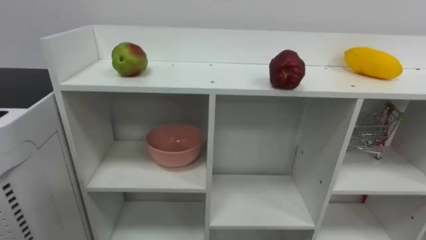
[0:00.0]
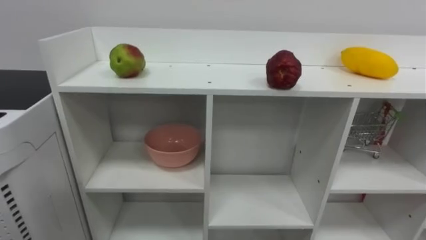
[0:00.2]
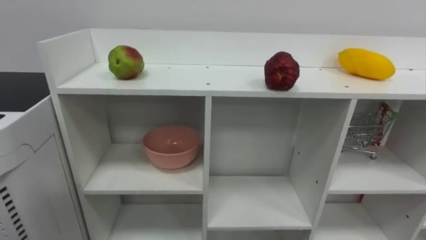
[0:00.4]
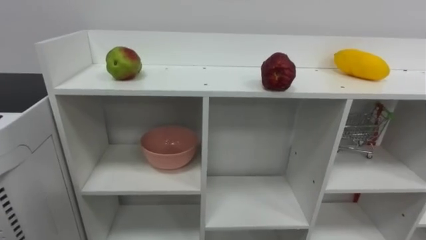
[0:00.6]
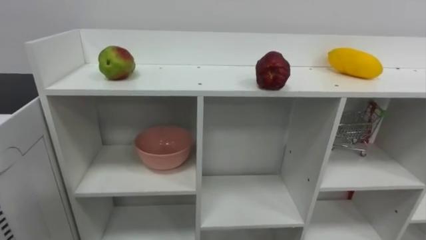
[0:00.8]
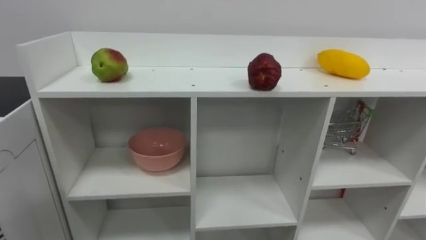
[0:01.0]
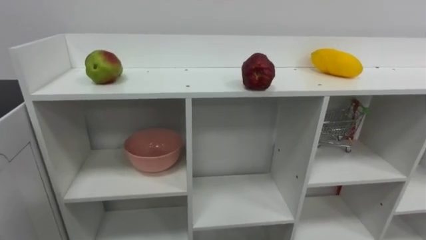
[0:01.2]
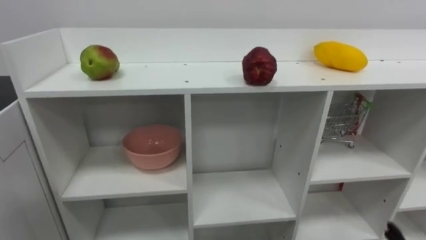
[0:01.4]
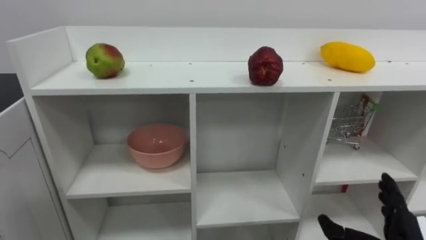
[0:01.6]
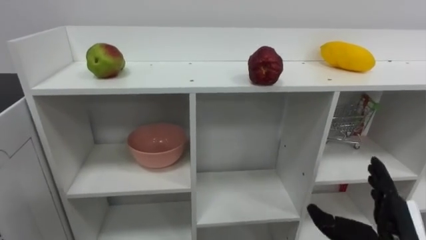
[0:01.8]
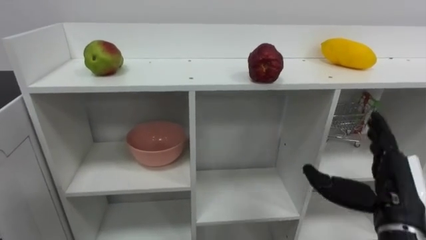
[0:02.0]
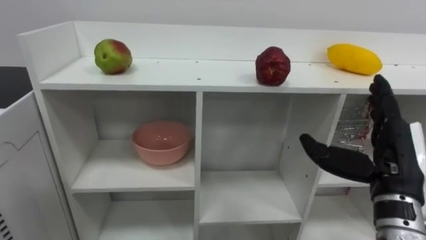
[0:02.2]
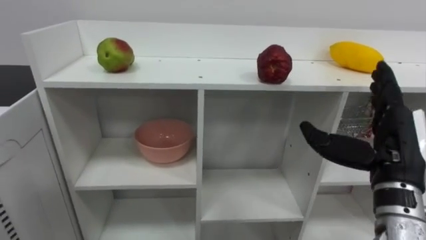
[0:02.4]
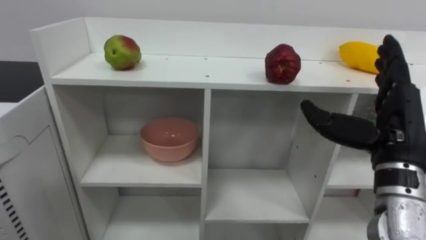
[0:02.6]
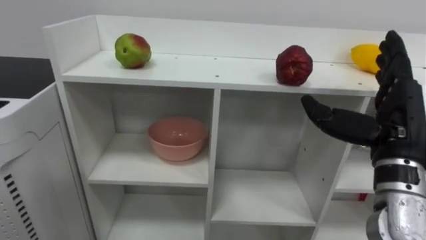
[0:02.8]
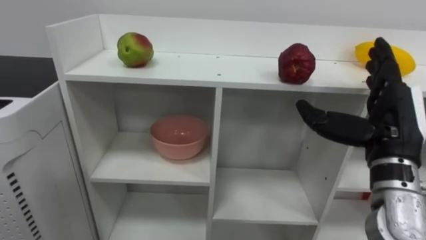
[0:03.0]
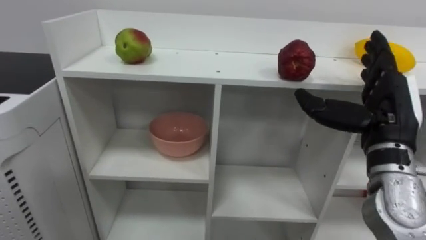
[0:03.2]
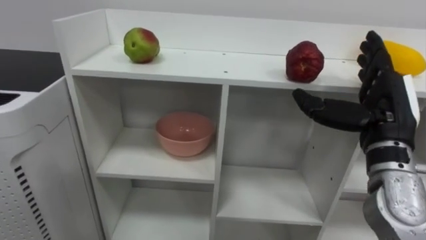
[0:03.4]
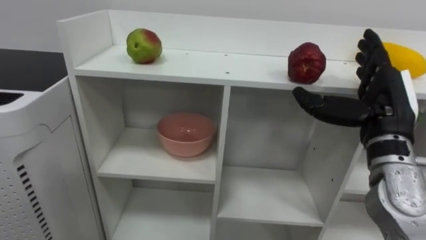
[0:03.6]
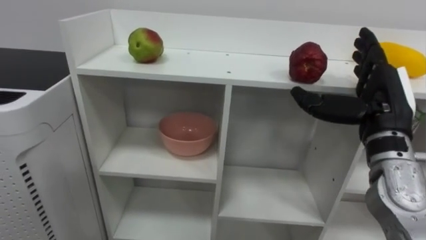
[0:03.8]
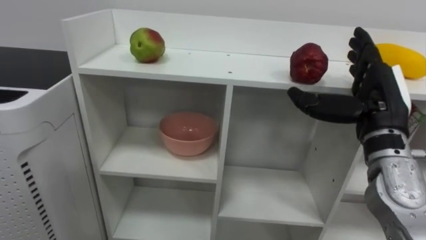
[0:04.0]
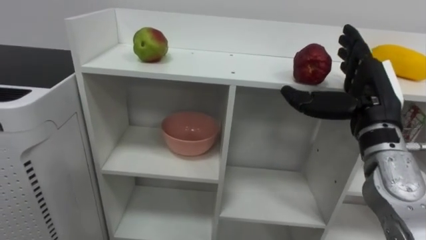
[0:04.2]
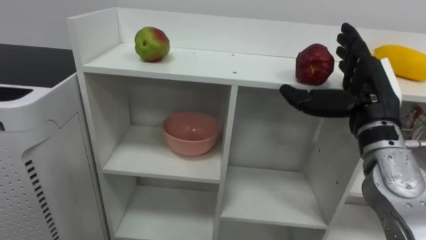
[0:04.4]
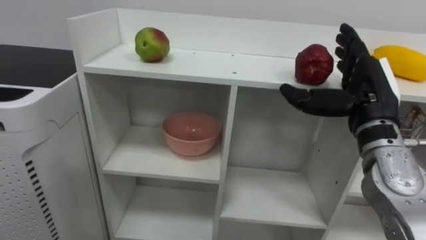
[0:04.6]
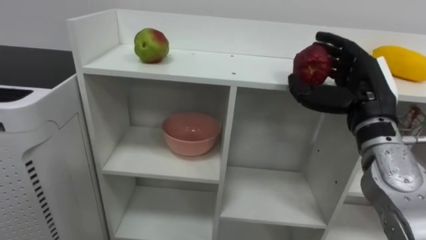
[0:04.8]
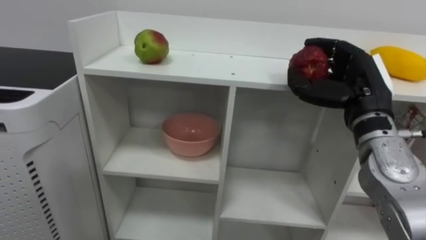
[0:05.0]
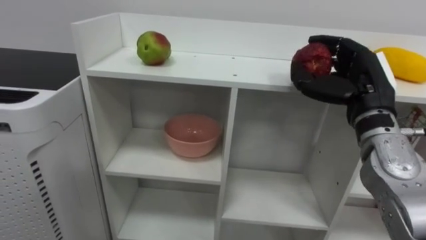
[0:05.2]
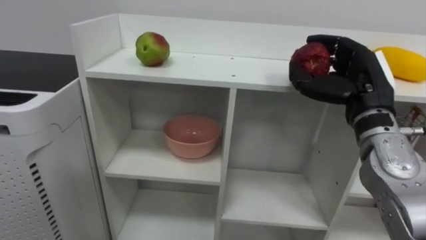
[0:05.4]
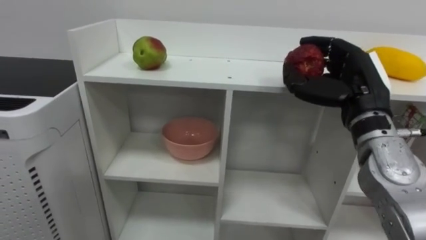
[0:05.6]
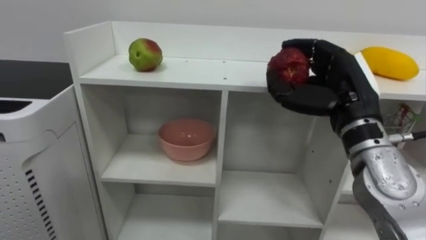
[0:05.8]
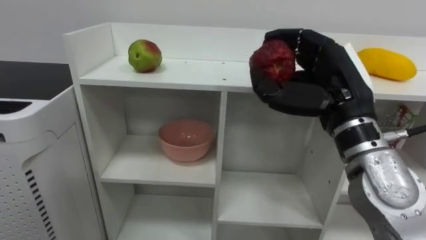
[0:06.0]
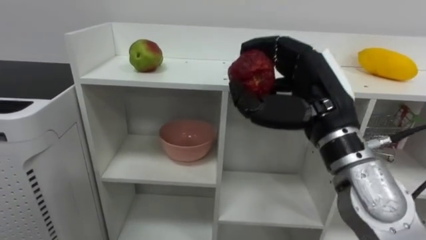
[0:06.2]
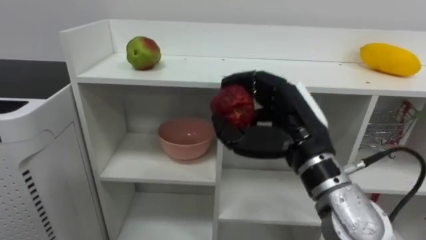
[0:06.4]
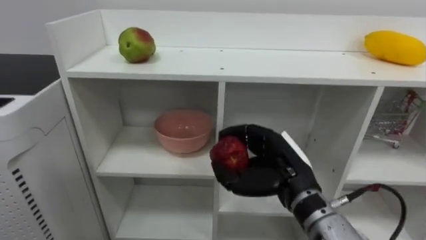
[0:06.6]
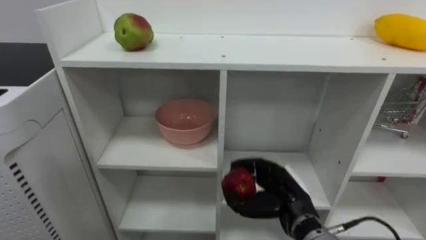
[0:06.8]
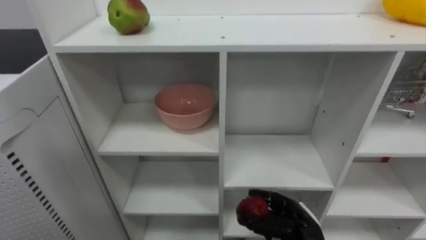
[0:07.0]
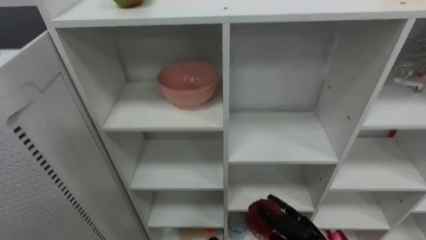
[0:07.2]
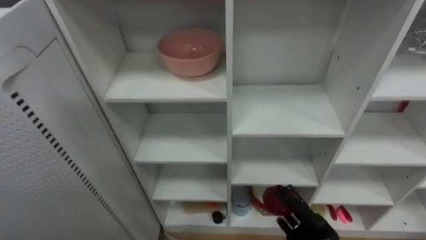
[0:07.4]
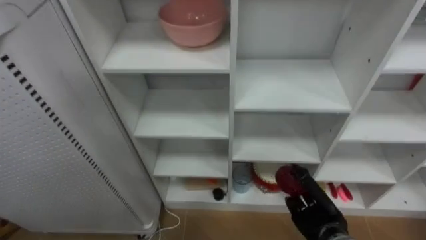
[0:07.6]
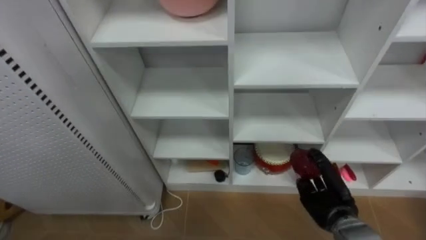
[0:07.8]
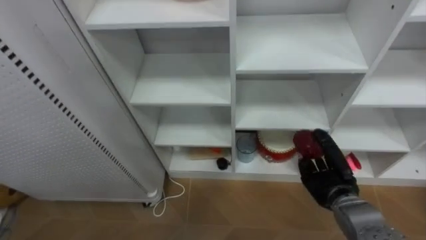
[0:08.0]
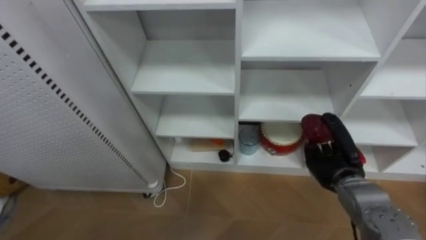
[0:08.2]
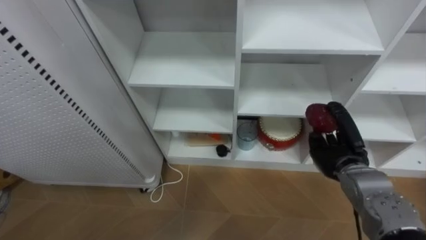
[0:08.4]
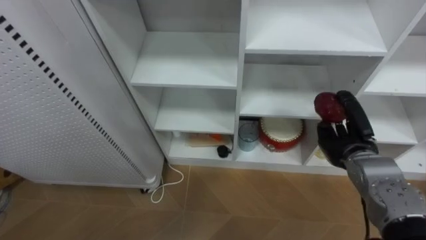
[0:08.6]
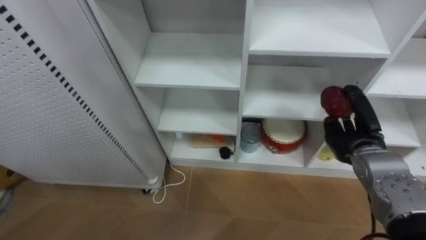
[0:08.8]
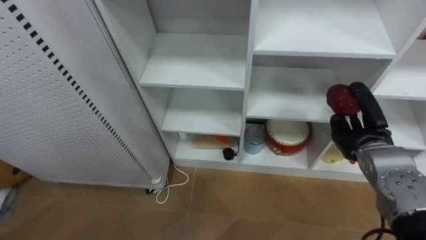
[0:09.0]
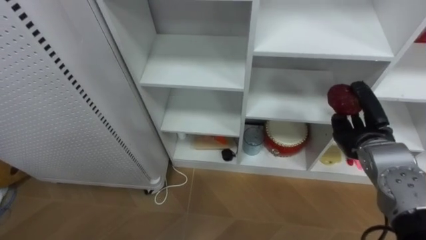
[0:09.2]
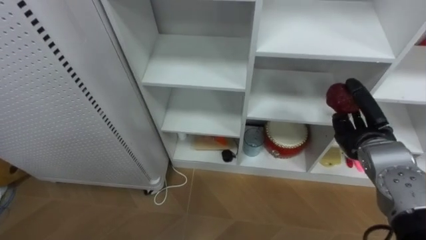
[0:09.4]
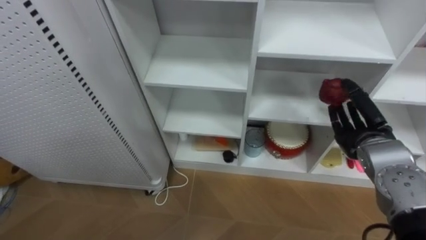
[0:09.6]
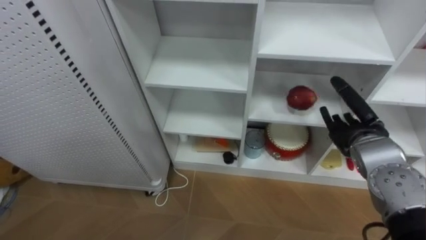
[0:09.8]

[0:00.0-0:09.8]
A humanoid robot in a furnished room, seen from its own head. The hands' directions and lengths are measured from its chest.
Task of the whole recording: Put the apple in the cell in the second column from the left and the second row from the top.
0:02.8 to 0:04.2: The right hand moves about 5 cm.
0:04.2 to 0:05.6: The right hand closes.
0:05.6 to 0:07.0: The right hand heads downward, covering roughly 25 cm.
0:08.4 to 0:09.8: The right hand shifts some 5 cm upward, and opens.

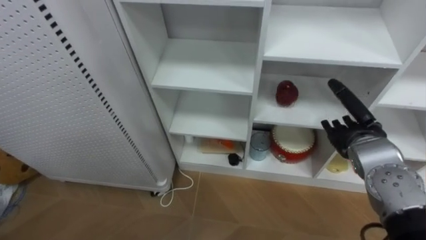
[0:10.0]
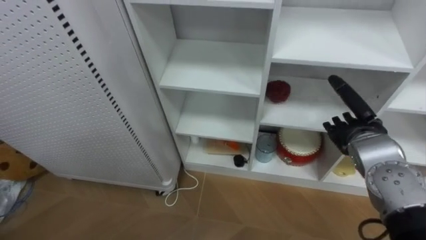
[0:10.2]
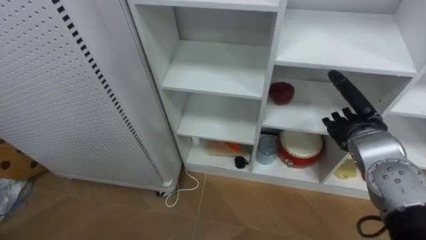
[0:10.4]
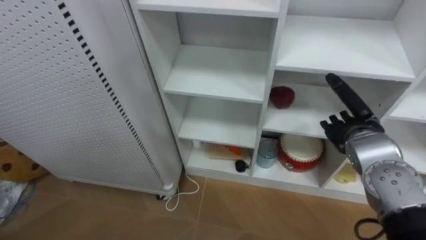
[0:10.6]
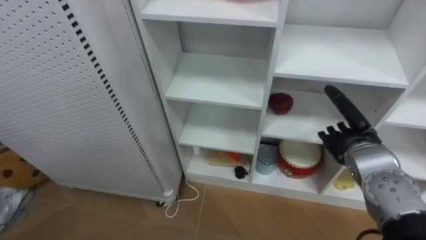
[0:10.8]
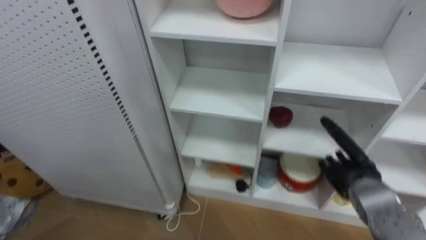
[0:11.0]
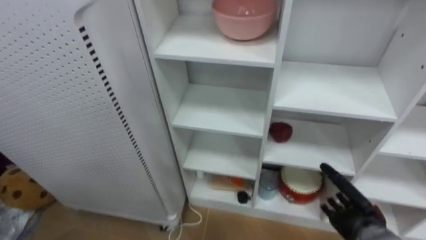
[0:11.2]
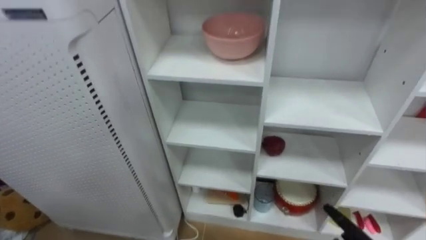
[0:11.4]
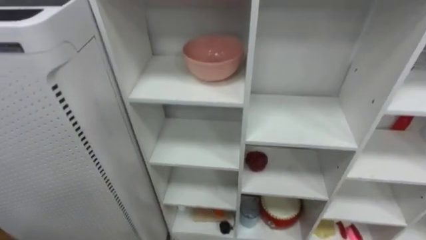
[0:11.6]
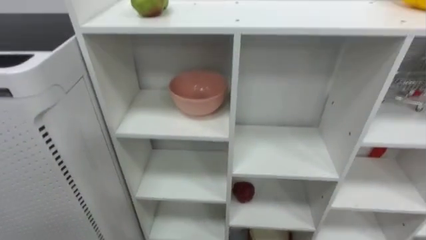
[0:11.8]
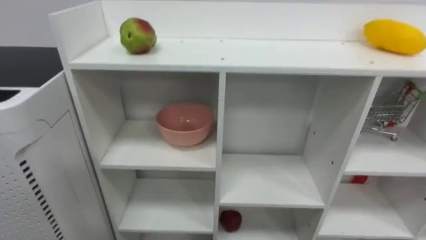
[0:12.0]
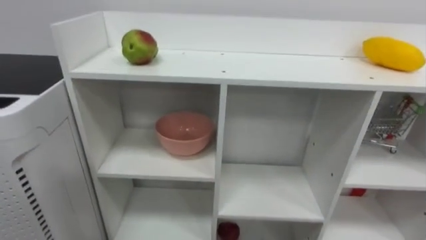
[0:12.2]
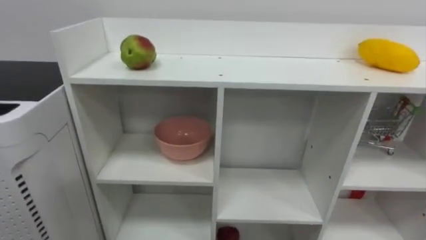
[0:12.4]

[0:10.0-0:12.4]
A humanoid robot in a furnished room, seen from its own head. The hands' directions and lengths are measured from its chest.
Task of the whole recording: Put the apple in the cell in the second column from the left and the second row from the top.
0:10.0 to 0:11.2: The right hand is displaced downward by about 15 cm.

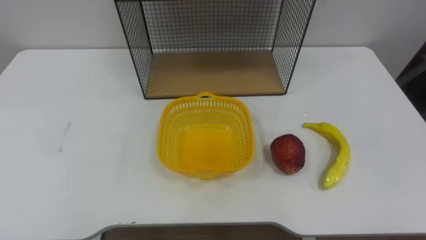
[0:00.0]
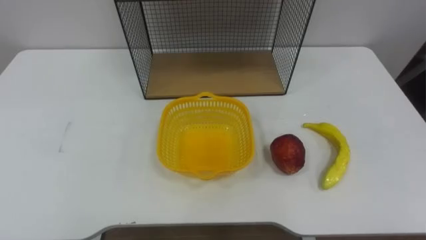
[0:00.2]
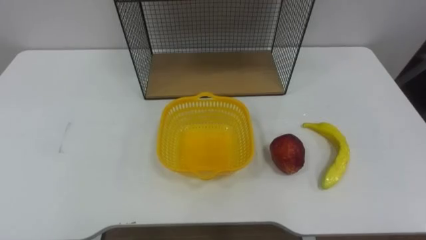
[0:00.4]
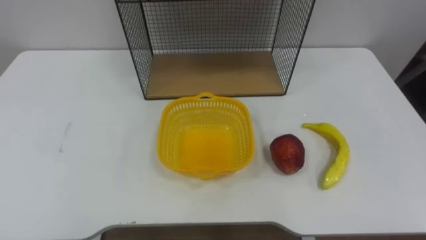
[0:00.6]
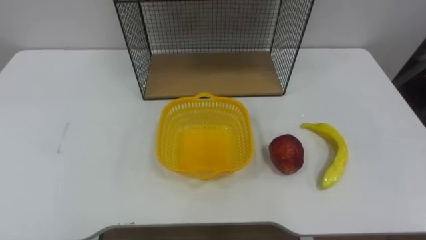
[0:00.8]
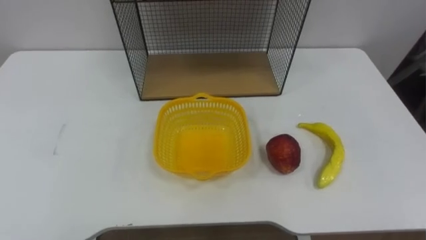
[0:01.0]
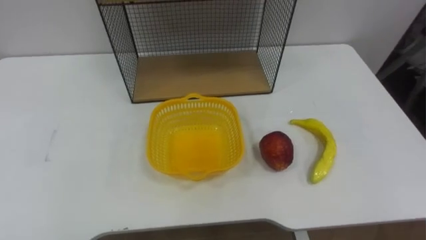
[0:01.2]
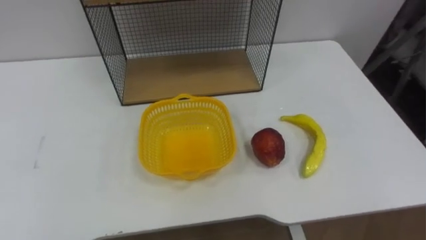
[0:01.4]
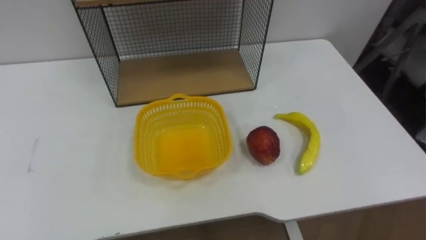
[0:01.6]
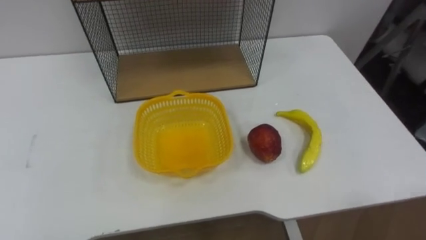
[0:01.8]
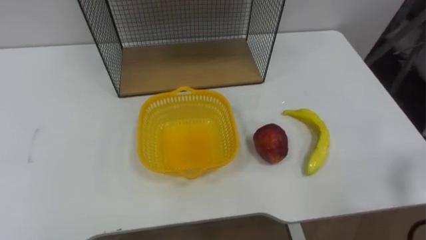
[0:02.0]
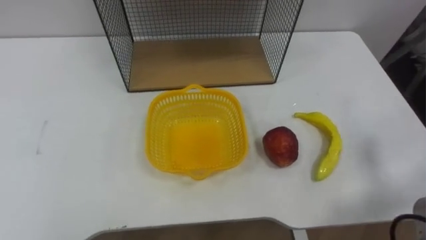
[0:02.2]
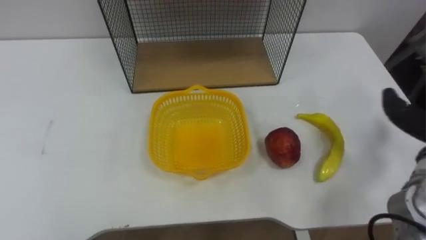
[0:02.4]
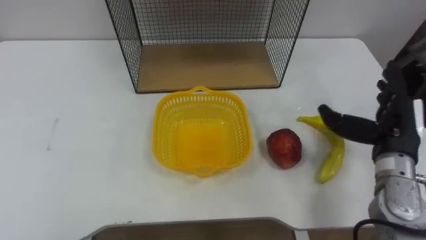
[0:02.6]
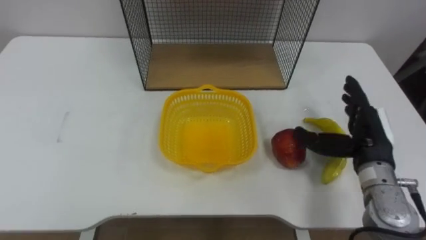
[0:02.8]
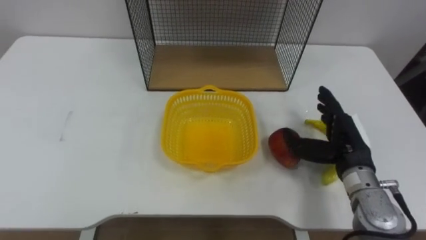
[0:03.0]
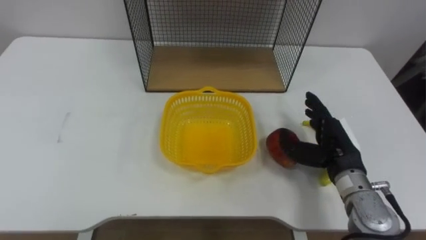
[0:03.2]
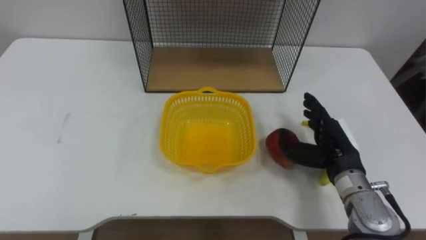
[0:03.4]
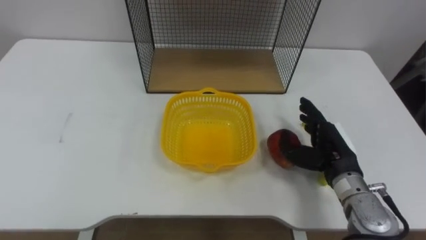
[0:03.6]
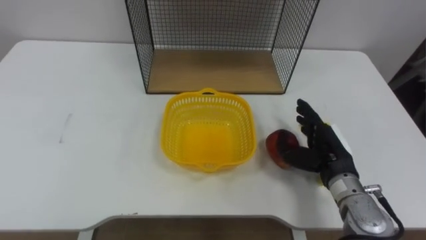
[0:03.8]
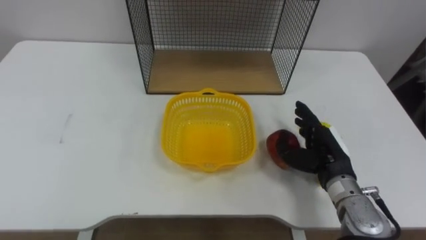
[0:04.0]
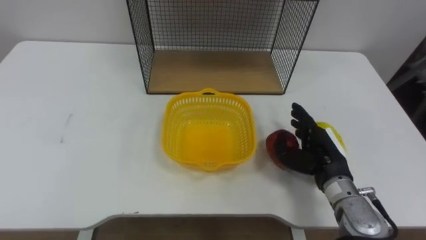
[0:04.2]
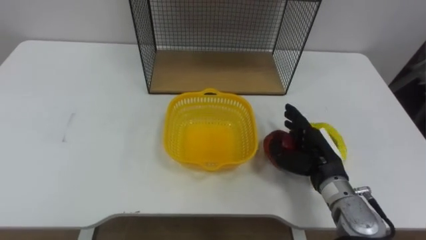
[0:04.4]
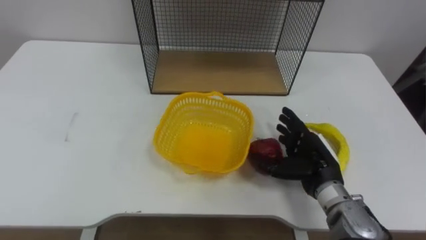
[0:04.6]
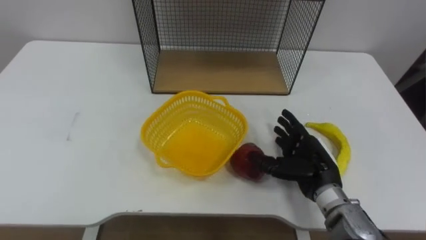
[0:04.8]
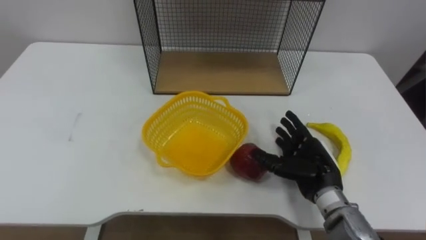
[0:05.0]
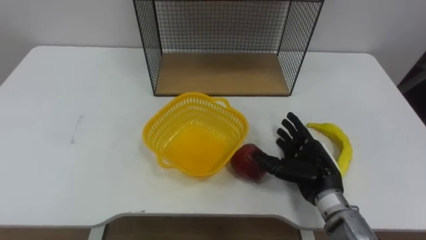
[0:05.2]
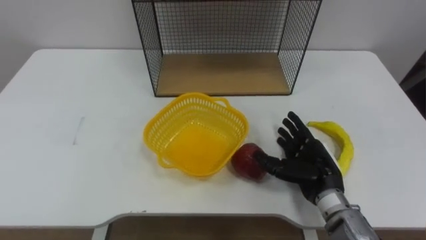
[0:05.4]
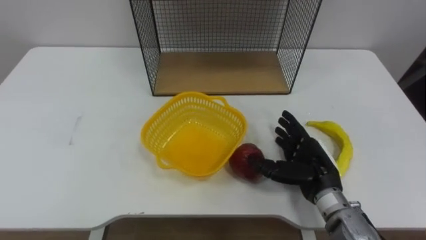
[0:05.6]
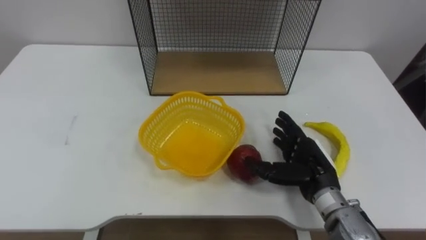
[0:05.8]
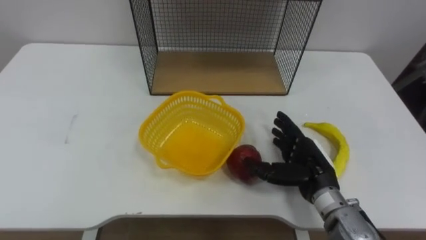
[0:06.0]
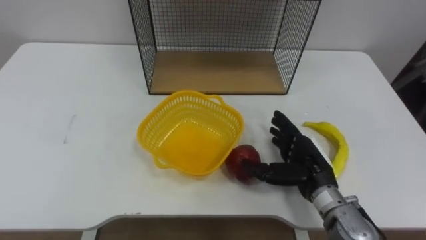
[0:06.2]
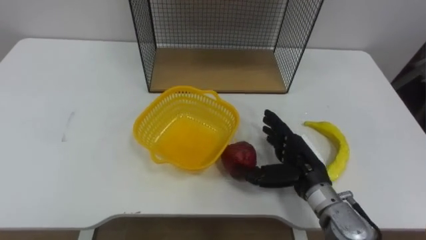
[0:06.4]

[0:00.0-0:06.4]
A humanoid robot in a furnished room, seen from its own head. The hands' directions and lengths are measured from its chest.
Task of the whole recording: Put the fruit on the table into the basket, then place the basket on the shelf.
0:03.2 to 0:04.8: The right hand changes place by roughly 5 cm.
